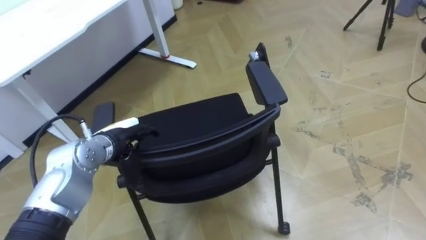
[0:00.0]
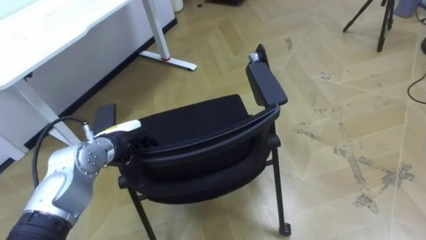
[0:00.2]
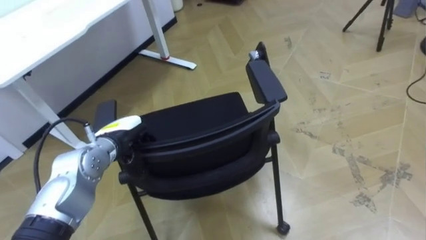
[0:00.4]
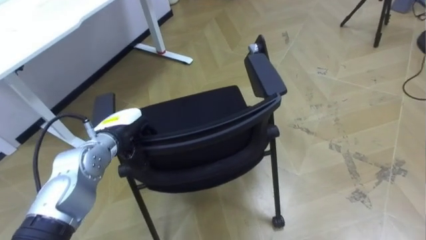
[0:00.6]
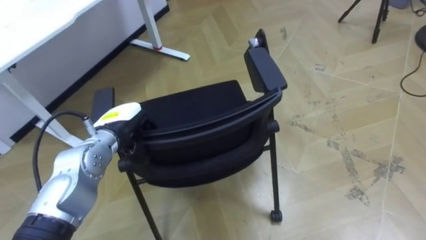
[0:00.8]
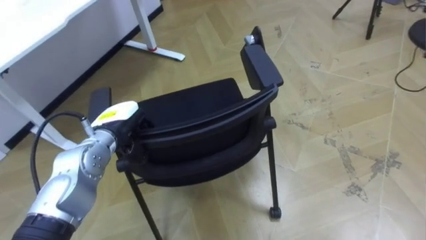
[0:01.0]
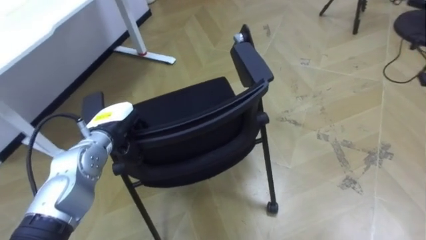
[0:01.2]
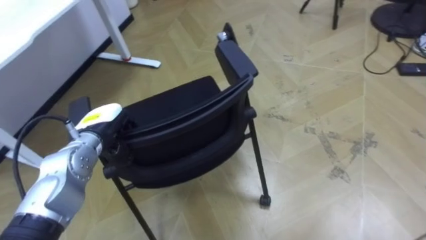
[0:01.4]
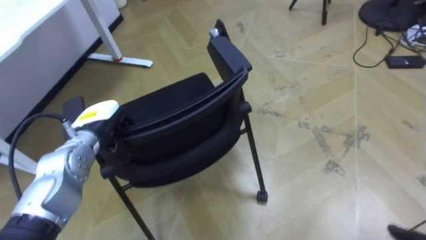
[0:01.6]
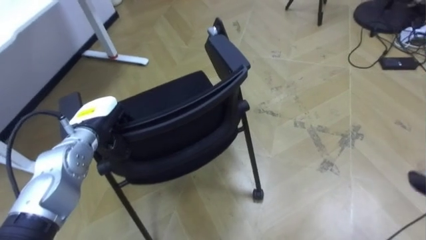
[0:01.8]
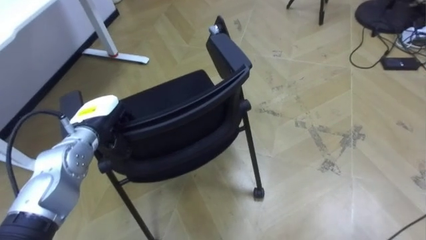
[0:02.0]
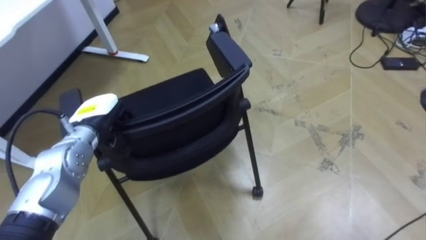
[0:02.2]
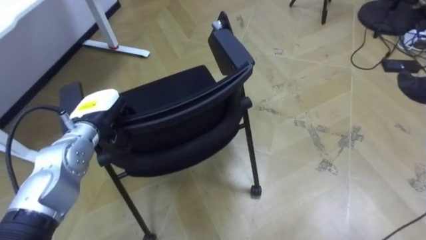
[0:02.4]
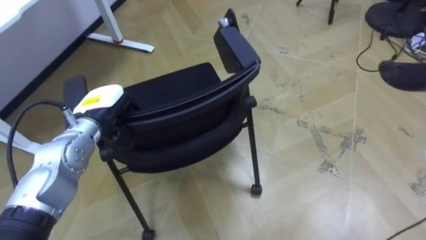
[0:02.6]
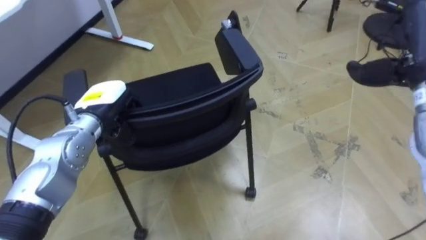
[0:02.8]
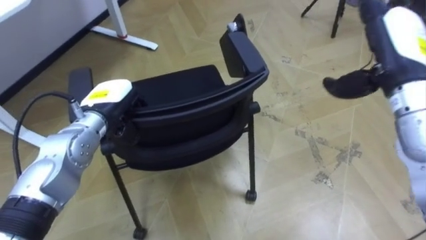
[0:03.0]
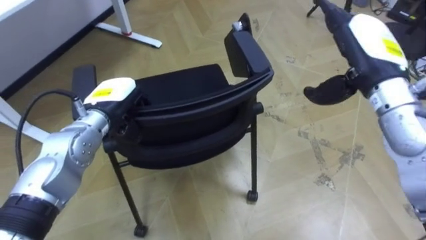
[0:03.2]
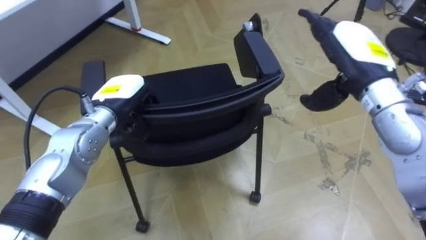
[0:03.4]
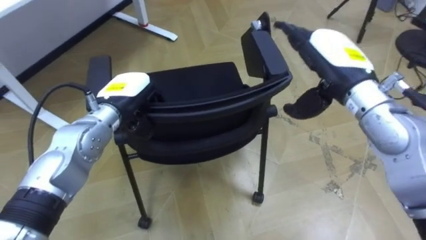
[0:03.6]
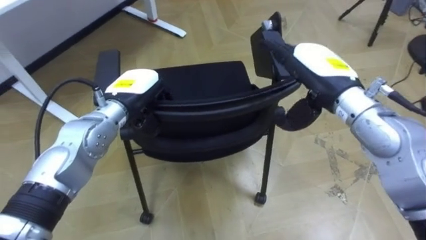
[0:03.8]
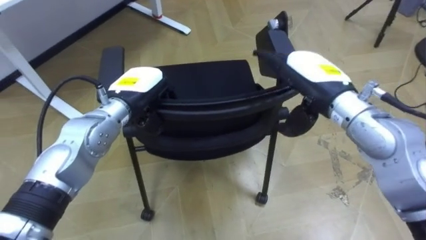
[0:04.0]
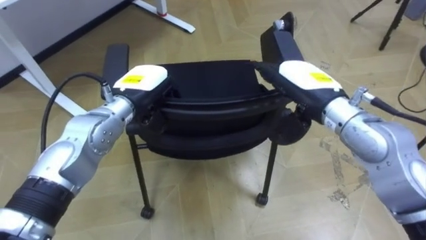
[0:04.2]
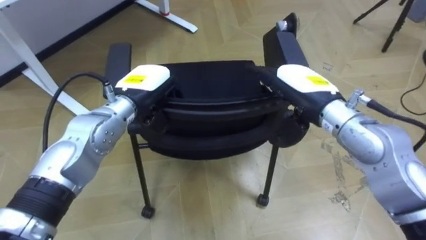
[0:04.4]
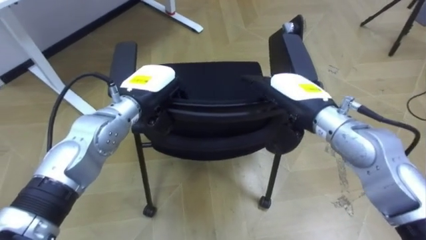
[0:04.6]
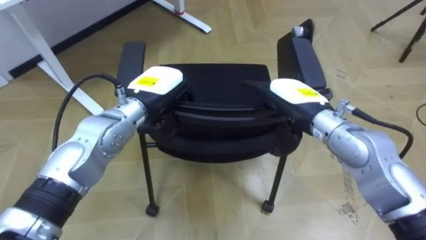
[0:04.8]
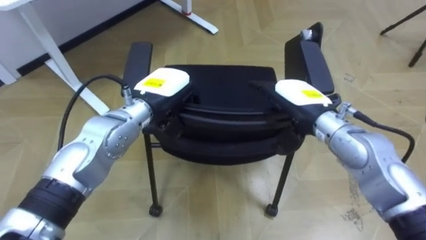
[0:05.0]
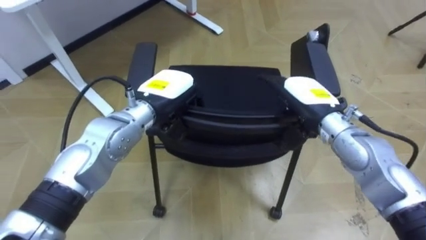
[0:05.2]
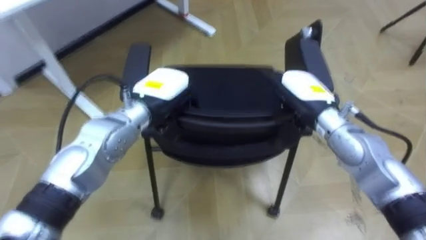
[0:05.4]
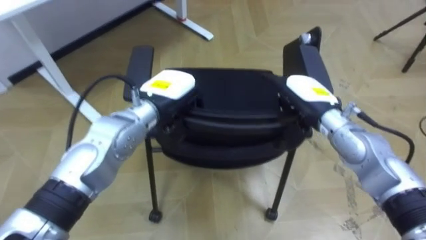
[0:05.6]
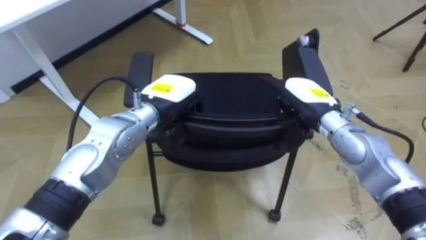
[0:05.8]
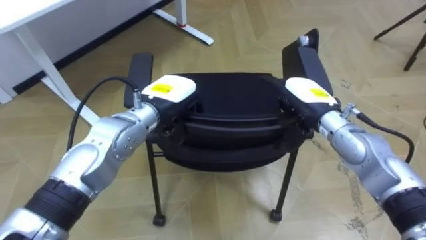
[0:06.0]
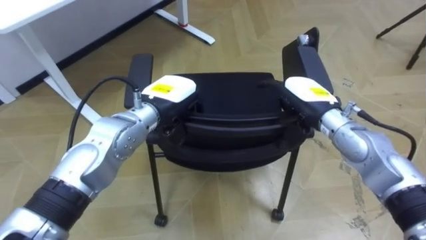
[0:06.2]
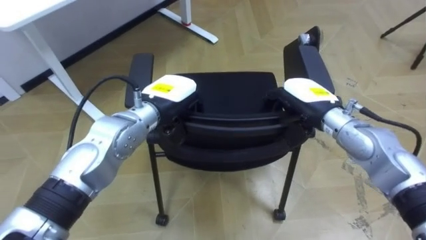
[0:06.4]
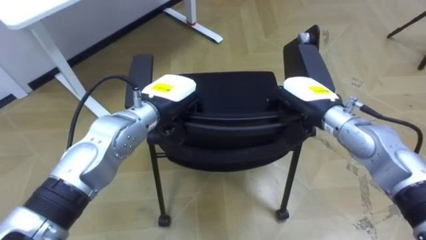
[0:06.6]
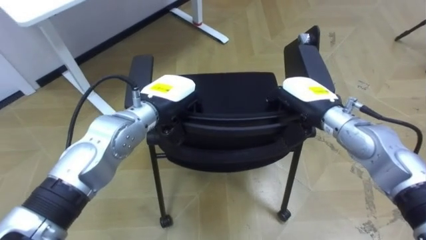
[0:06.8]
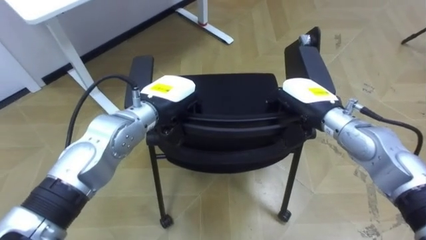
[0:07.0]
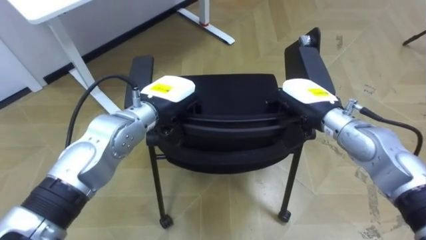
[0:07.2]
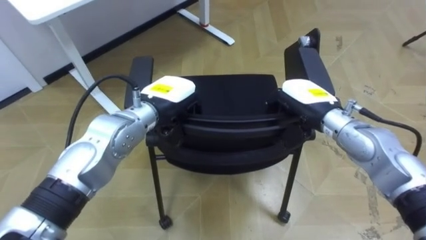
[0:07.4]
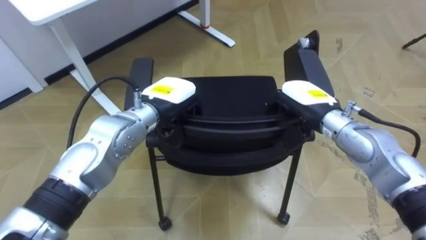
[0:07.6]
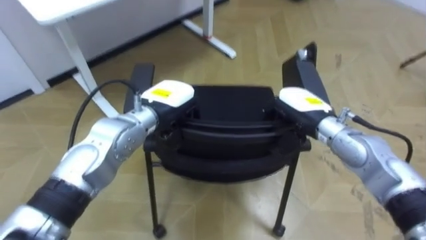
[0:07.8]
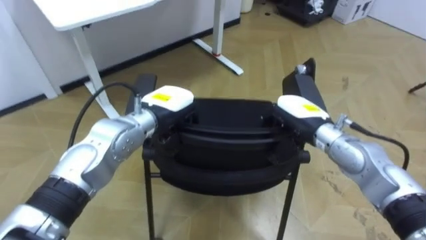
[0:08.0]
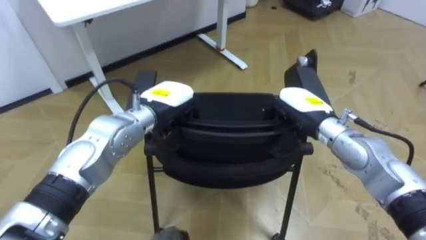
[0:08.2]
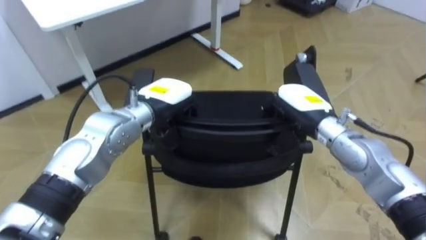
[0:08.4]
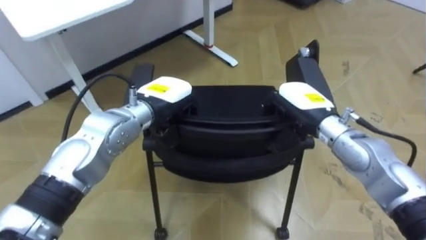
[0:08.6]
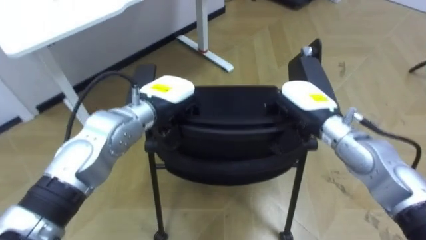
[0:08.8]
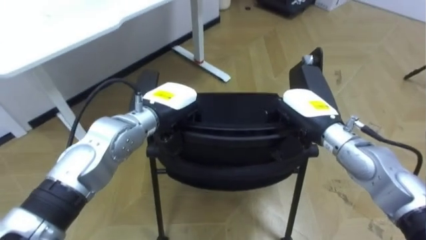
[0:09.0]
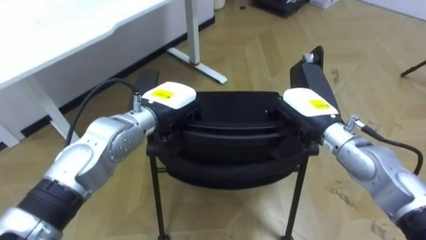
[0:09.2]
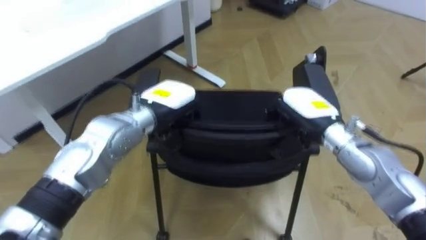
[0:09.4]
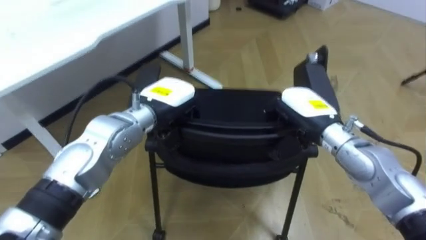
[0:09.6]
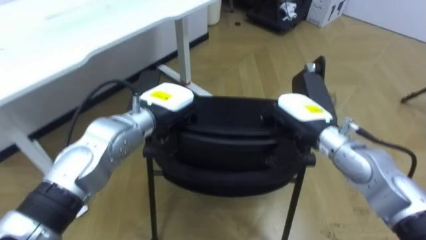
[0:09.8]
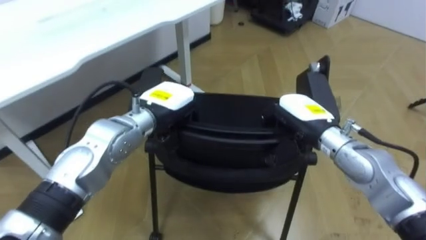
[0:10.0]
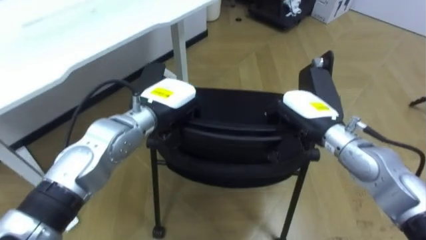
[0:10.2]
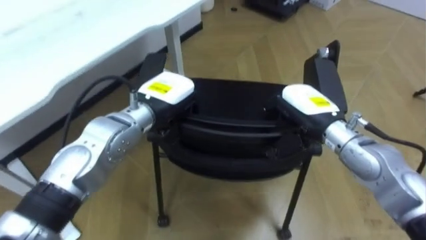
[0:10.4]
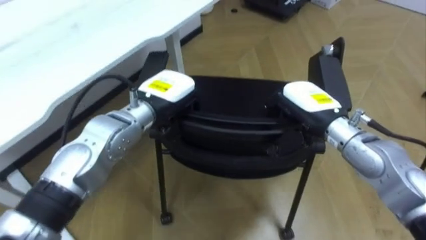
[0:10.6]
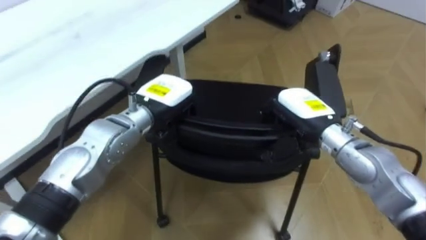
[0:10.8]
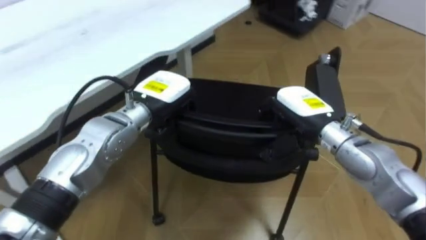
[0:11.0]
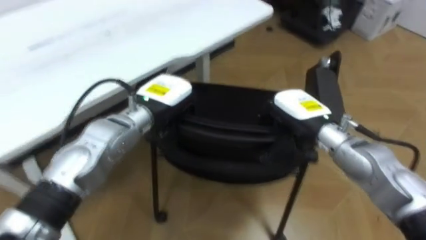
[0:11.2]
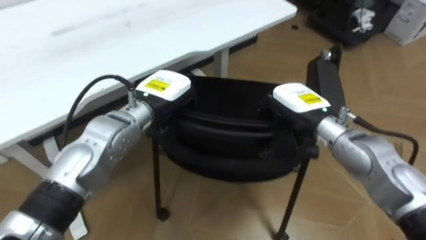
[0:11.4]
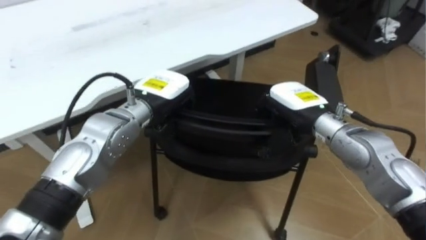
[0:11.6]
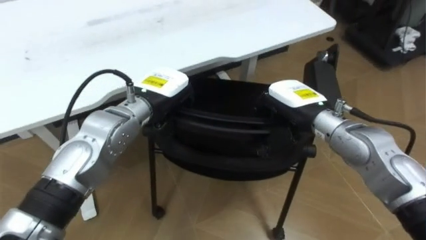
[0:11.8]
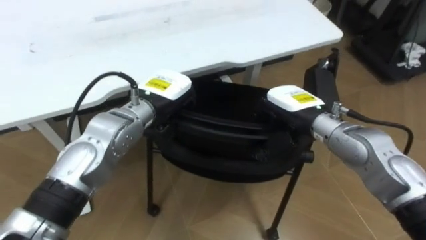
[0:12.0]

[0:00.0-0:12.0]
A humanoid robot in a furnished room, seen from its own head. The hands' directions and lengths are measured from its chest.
Task of the whole recording: Push the chair under the table.
0:00.0 to 0:01.6: The left hand closes up.
0:03.0 to 0:04.4: The right hand heads to the left and downward, covering approximately 15 cm. Meanwhile the left hand goes roughly 5 cm to the right.
0:04.4 to 0:06.0: The right hand shifts roughly 5 cm downward.
0:06.0 to 0:07.6: The right hand closes up.
0:10.4 to 0:12.0: The robot rotates roughly 25 degrees to its left.

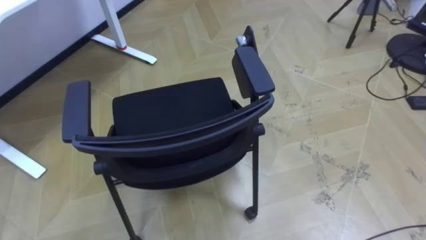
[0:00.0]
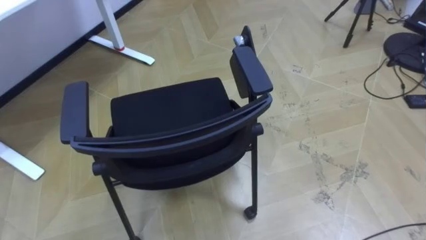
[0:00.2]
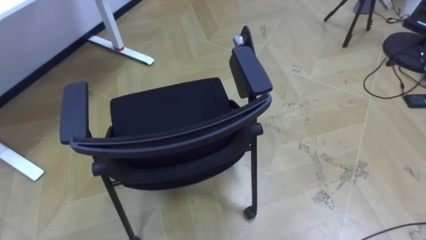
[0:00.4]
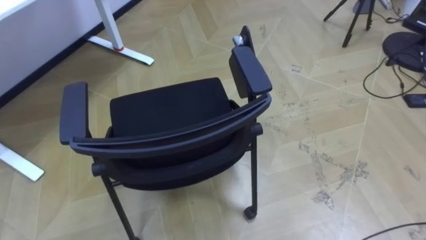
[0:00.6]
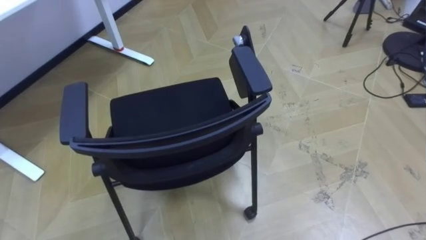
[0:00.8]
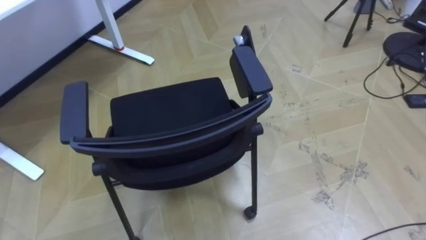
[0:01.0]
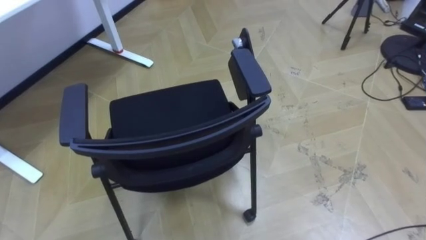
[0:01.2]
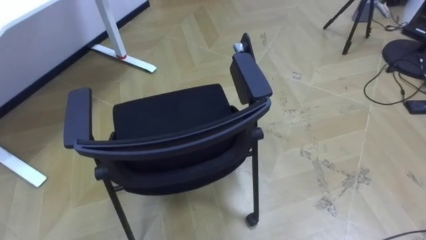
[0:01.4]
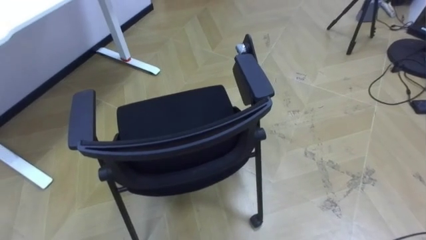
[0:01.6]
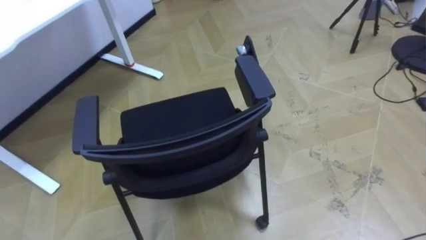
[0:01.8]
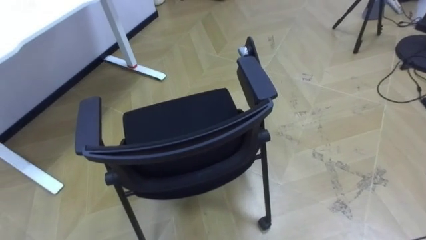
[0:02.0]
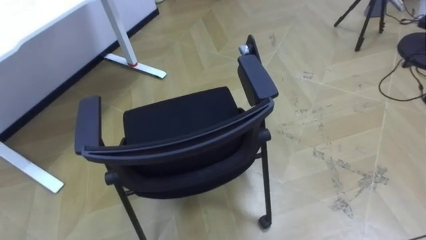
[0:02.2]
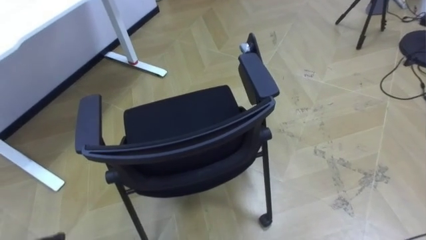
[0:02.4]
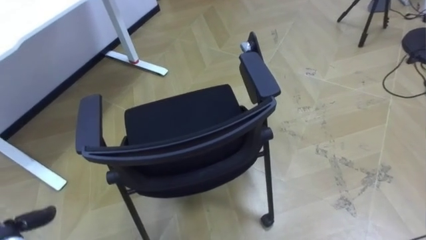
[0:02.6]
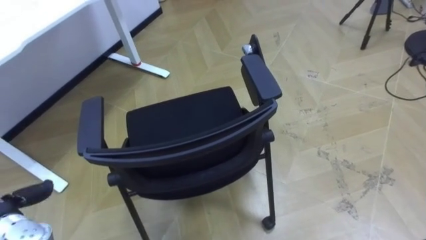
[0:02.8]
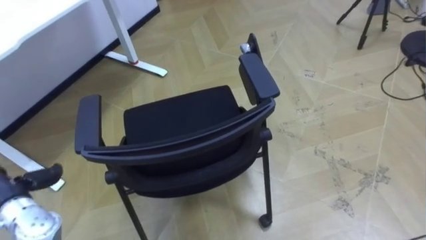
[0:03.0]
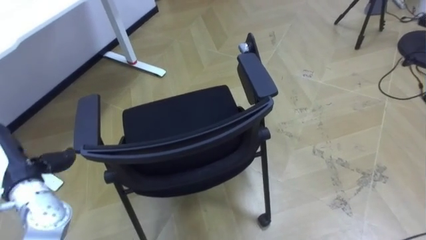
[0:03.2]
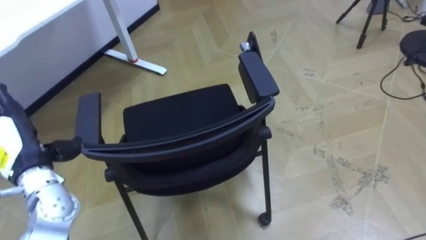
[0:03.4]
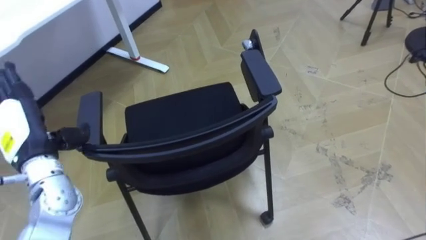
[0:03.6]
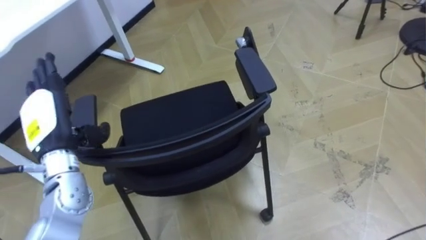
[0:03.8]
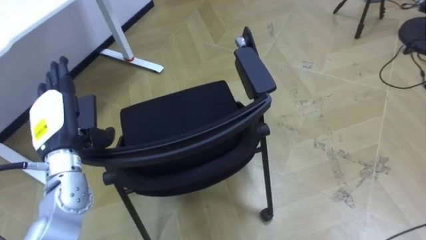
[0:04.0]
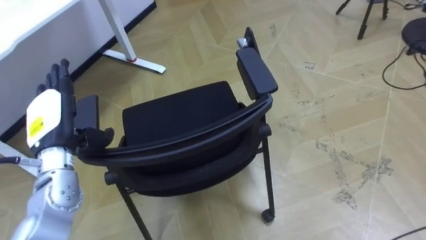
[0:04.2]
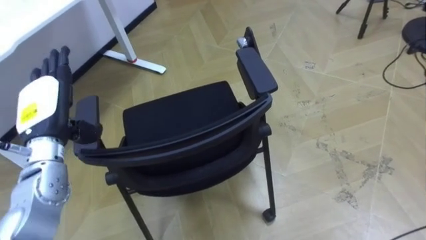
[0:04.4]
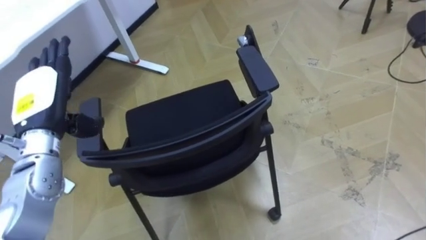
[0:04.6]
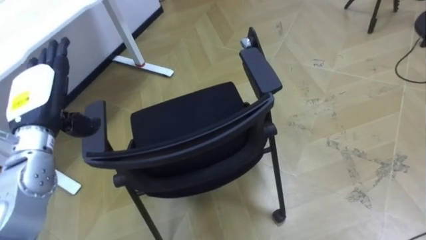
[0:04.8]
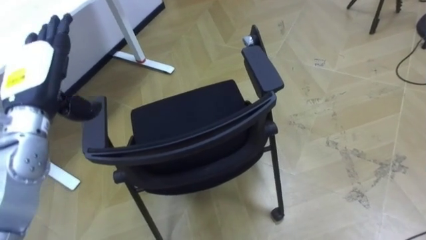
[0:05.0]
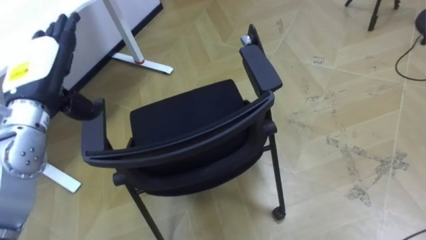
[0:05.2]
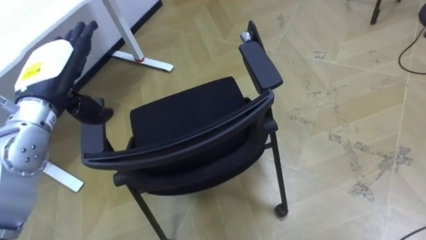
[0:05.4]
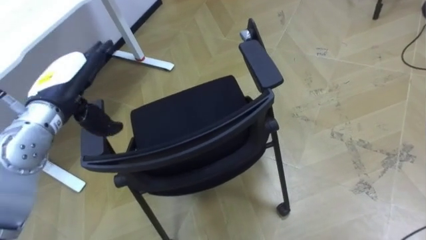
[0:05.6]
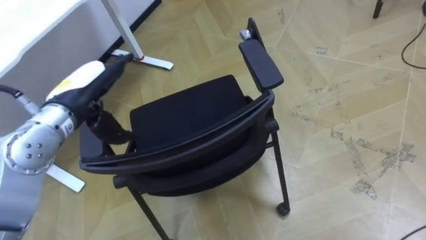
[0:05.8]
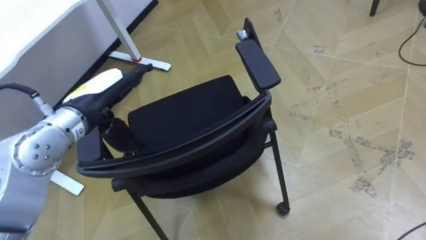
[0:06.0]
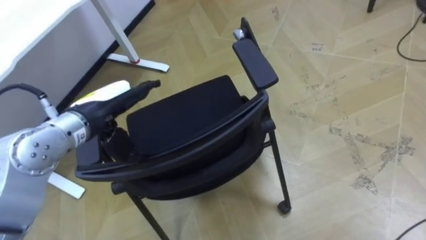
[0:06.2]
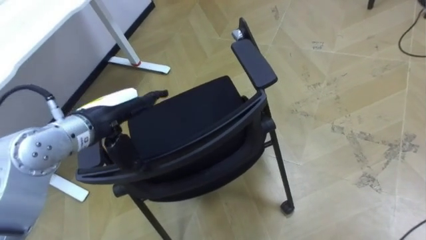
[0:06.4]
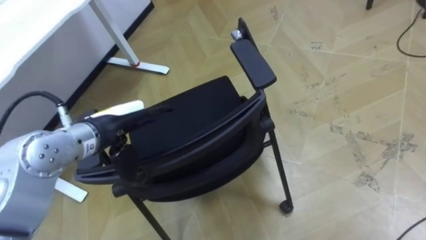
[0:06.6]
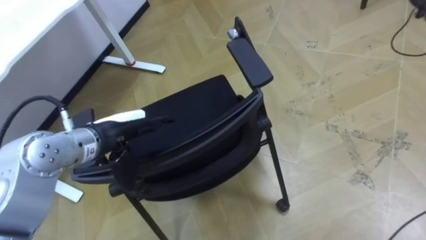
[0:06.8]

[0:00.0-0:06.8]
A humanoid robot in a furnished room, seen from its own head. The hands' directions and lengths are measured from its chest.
Task of the whole recording: Push the chair under the table.
0:04.0 to 0:05.4: The left hand shifts roughly 10 cm upward.
0:05.4 to 0:06.8: The left hand heads to the right and downward, covering some 10 cm.
